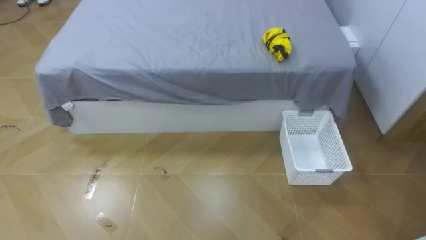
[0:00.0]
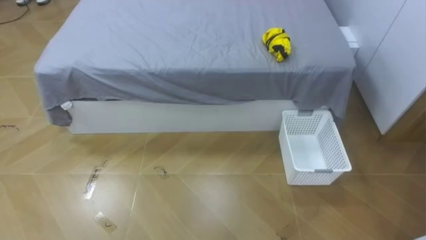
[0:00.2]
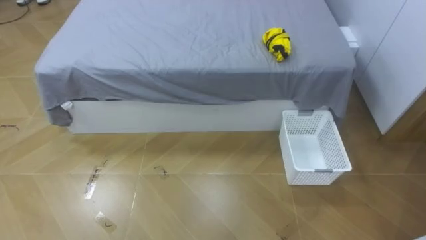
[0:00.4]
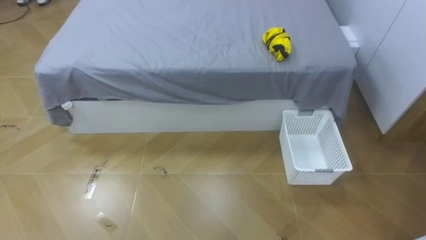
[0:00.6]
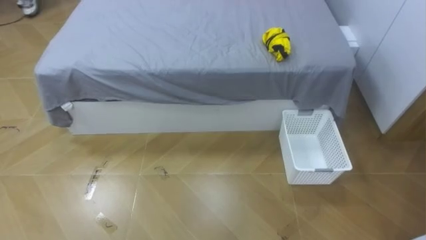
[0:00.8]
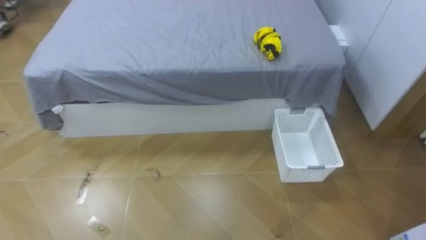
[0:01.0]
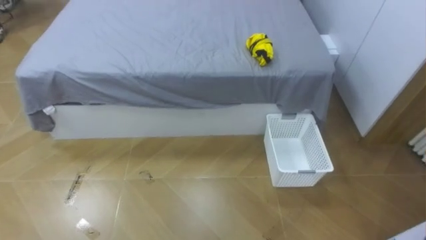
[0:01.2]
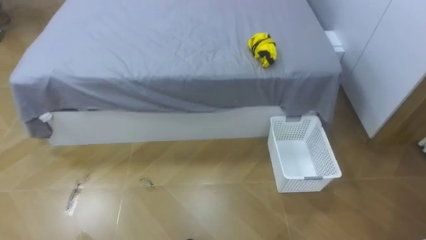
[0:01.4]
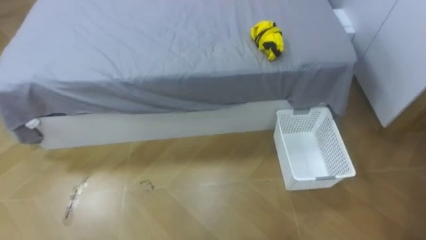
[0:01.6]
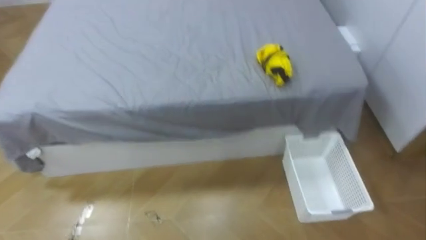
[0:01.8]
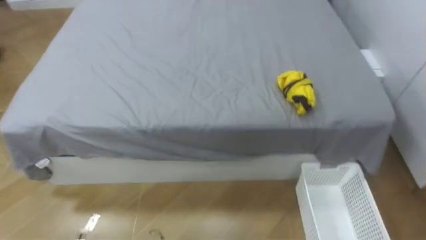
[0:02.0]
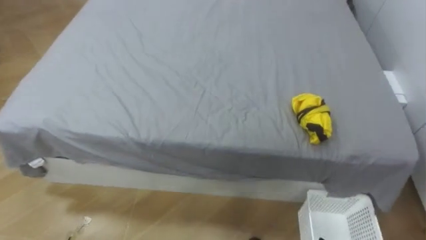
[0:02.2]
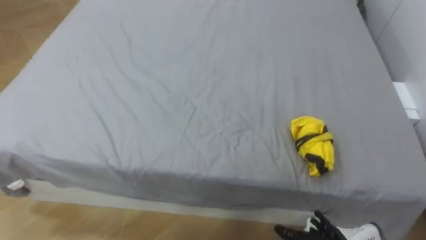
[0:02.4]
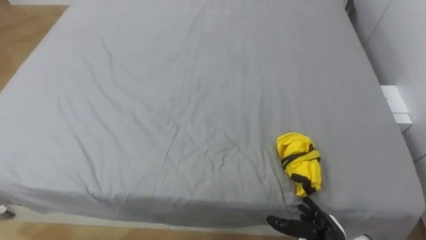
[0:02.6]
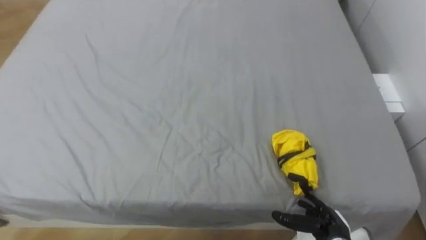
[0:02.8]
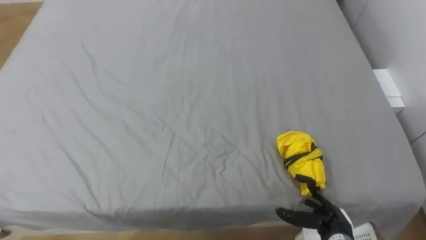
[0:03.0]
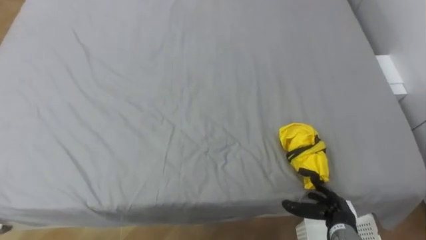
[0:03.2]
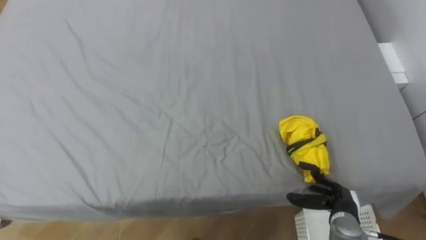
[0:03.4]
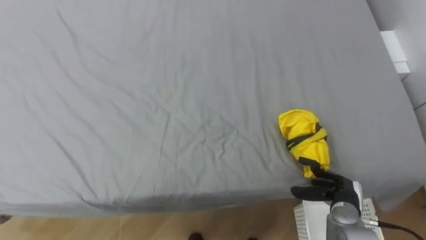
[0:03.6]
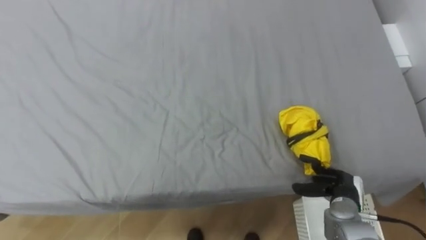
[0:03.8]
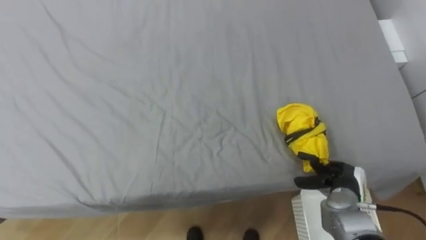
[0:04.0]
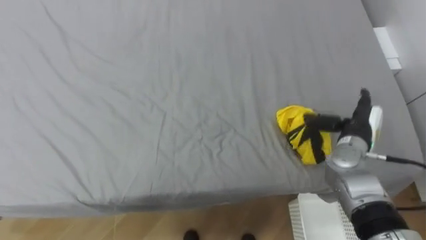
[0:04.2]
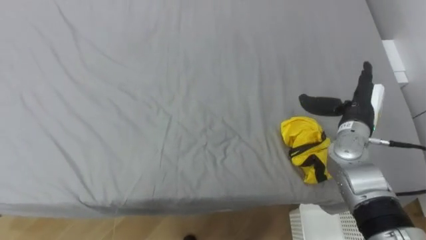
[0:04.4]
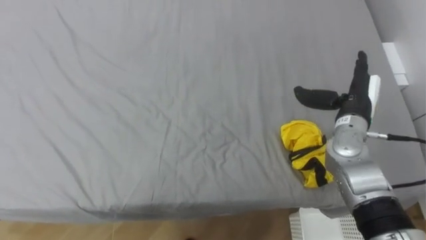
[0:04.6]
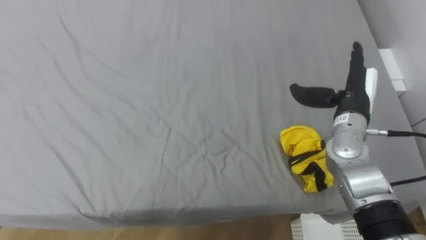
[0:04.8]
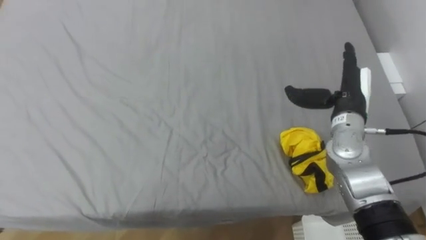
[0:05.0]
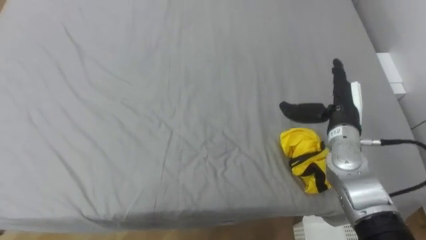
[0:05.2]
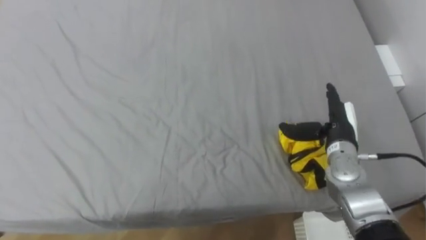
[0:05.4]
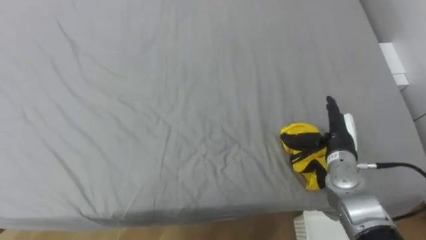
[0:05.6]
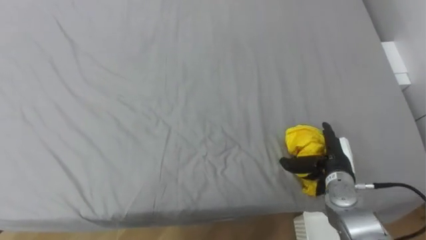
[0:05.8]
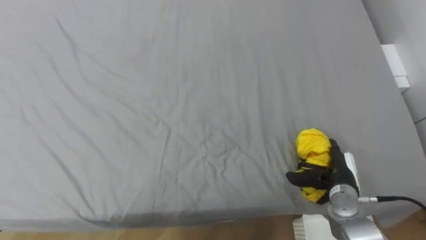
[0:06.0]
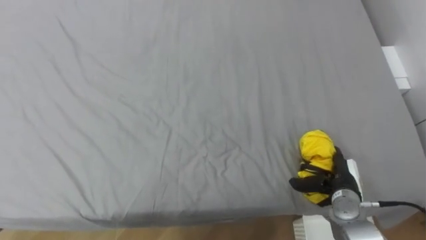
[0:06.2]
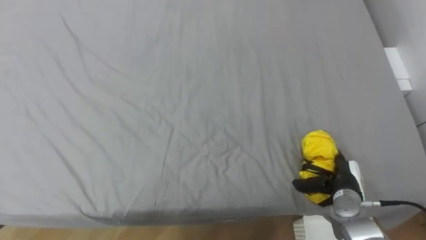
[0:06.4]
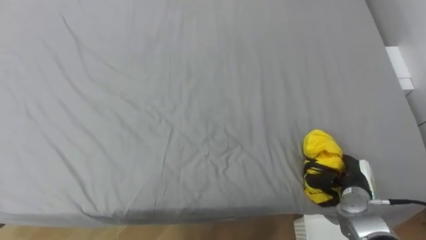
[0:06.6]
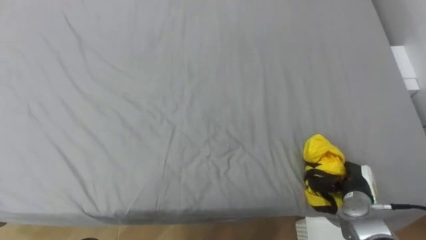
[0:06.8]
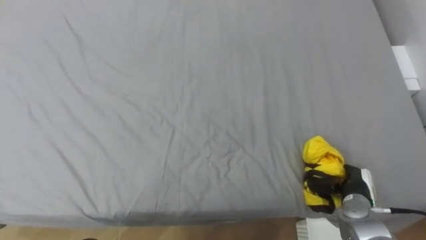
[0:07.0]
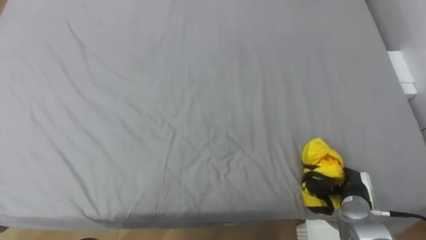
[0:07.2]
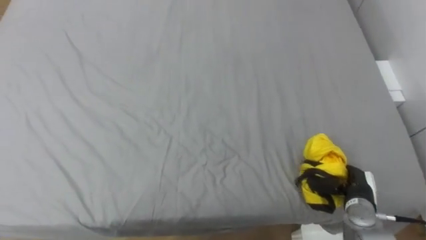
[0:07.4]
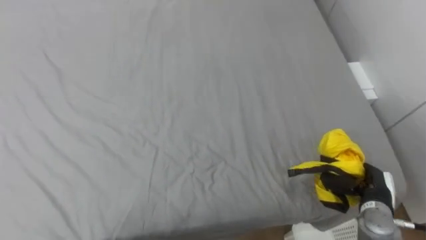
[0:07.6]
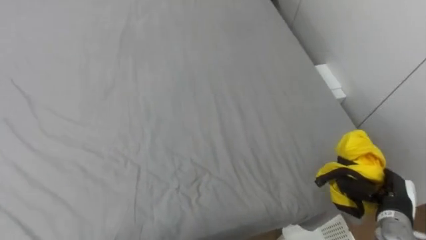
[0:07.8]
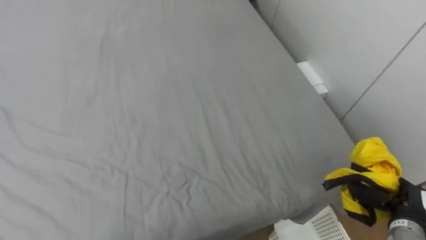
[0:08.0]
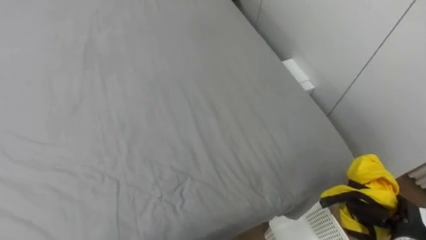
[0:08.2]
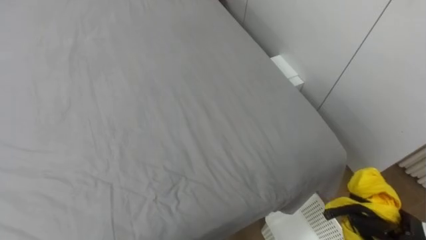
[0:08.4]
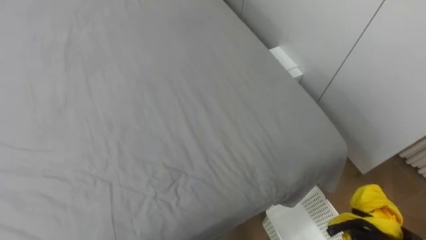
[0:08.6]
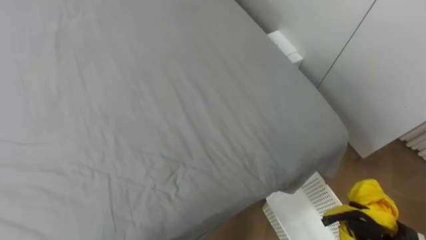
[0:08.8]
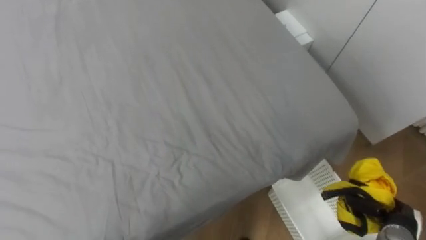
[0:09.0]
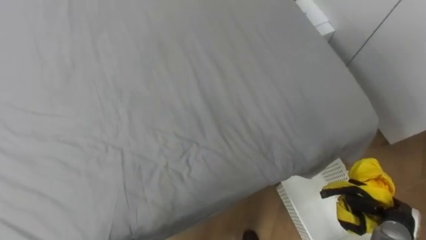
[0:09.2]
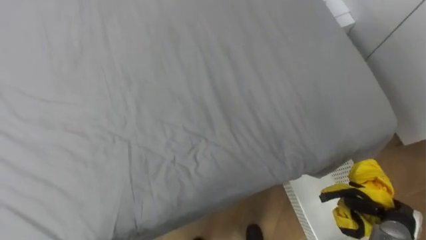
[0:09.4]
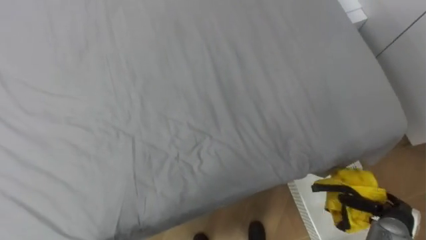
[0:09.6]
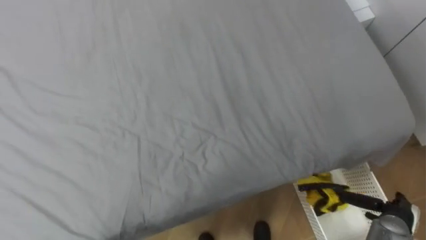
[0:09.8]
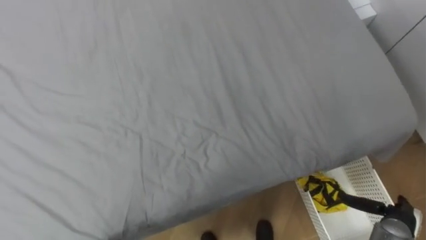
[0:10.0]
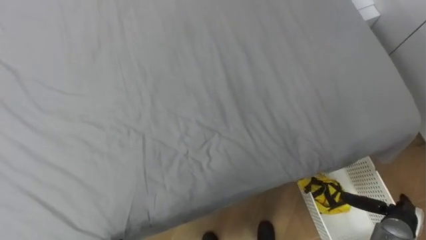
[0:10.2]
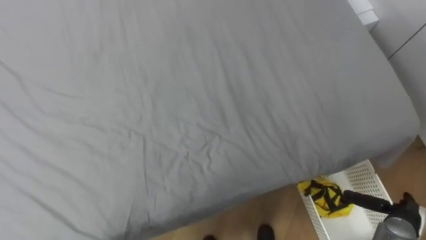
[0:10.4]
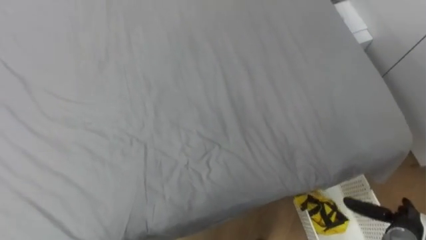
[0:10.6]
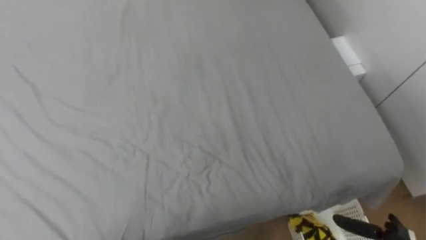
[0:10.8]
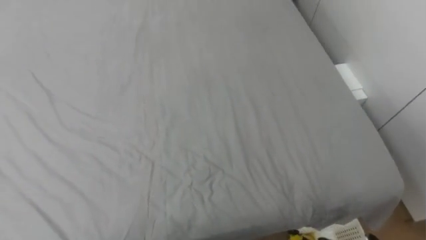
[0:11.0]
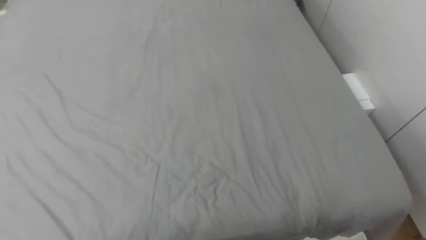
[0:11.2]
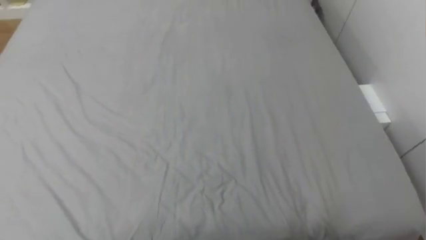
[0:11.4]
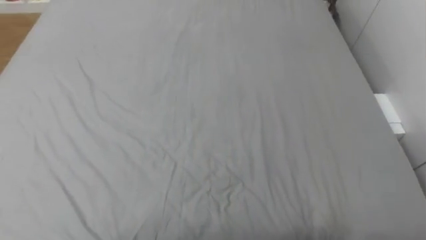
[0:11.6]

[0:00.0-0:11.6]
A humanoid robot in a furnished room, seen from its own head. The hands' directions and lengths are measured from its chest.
Task of the whole recording: Pick up the yellow clothes on the bed and place them into the white basket on the right.
0:02.8 to 0:04.4: The right hand shifts roughly 25 cm upward and forward.
0:04.4 to 0:05.8: The right hand goes about 10 cm downward and backward.
0:05.8 to 0:07.2: The right hand shifts some 5 cm downward, and closes its fingers.

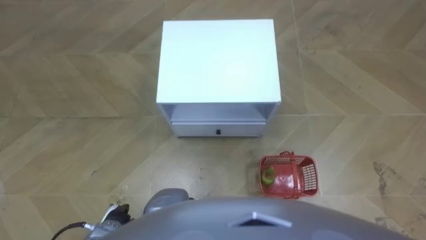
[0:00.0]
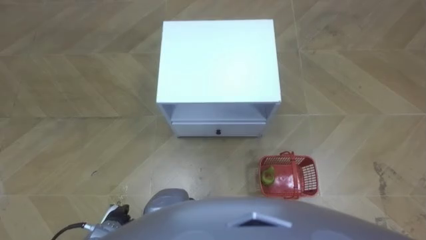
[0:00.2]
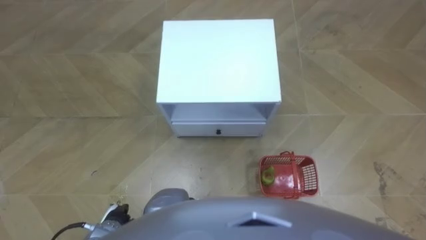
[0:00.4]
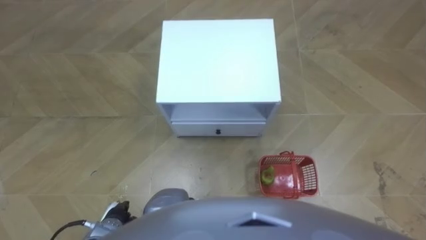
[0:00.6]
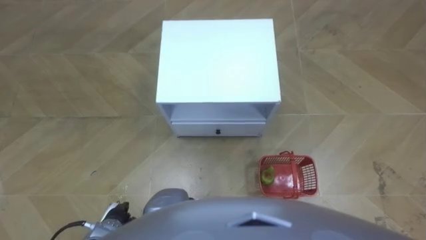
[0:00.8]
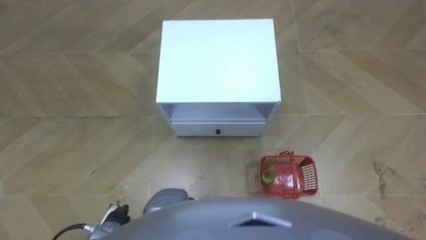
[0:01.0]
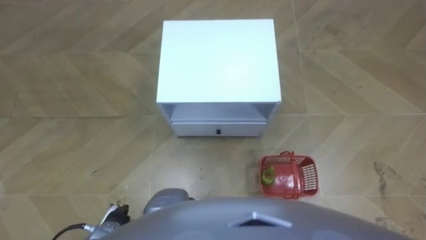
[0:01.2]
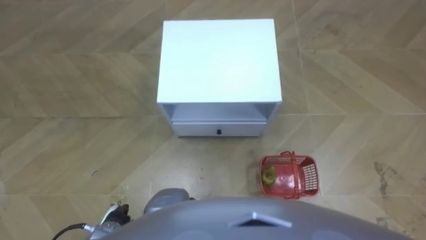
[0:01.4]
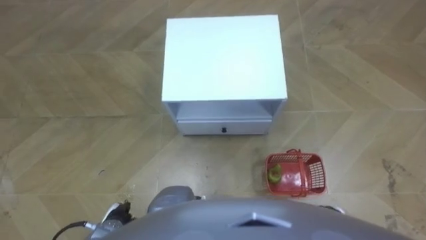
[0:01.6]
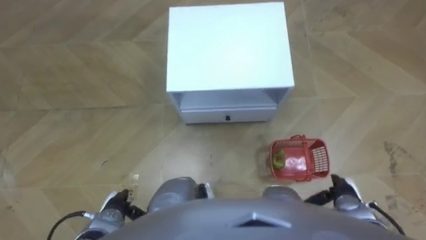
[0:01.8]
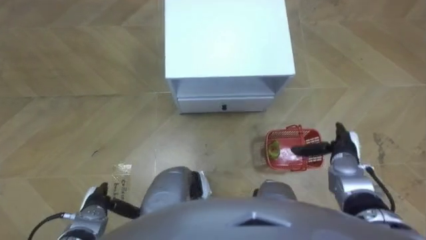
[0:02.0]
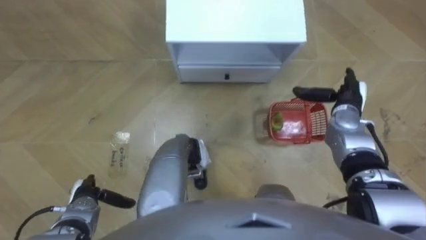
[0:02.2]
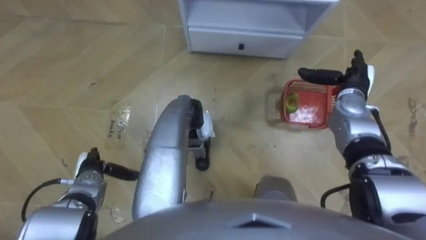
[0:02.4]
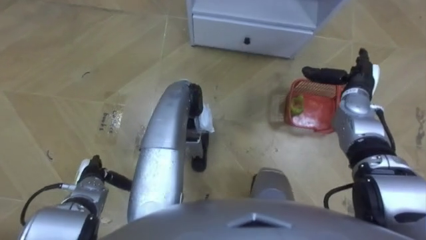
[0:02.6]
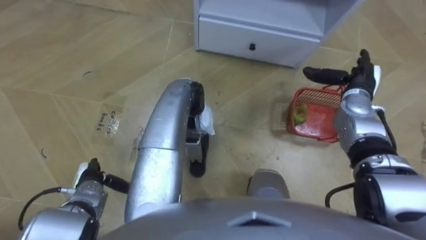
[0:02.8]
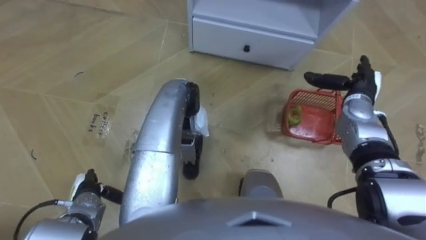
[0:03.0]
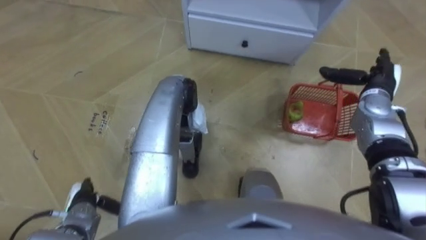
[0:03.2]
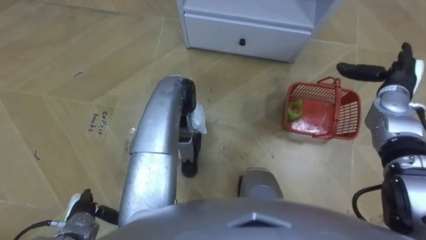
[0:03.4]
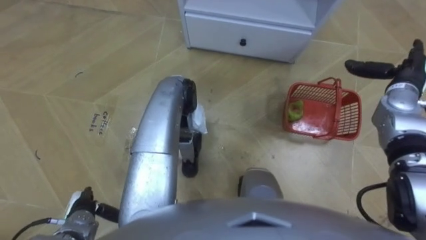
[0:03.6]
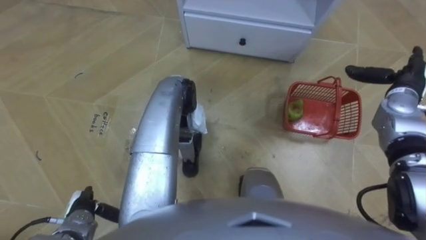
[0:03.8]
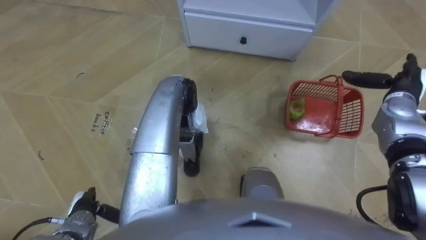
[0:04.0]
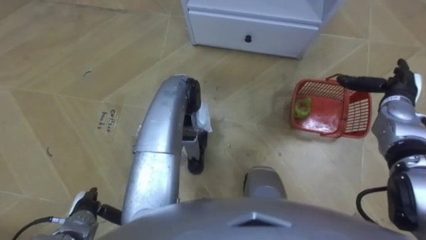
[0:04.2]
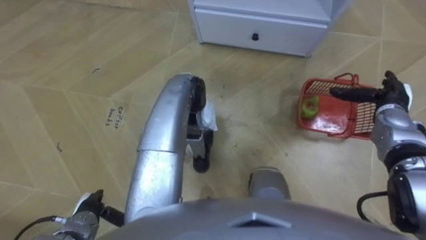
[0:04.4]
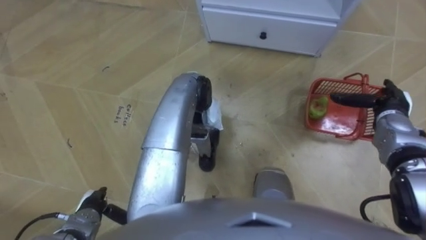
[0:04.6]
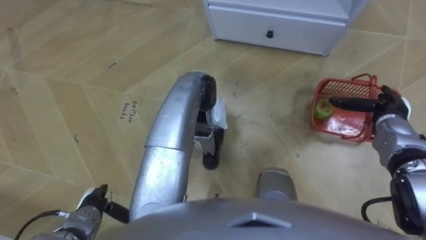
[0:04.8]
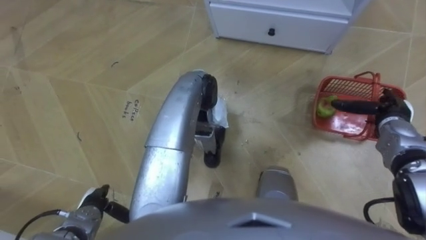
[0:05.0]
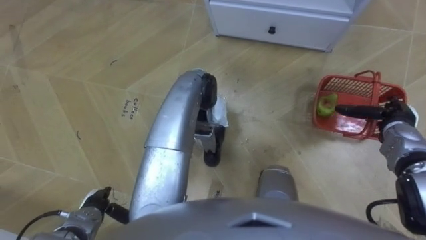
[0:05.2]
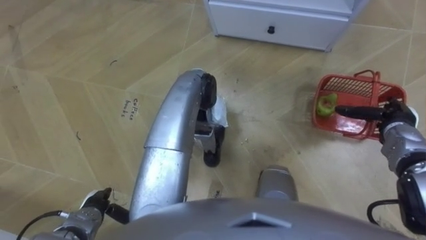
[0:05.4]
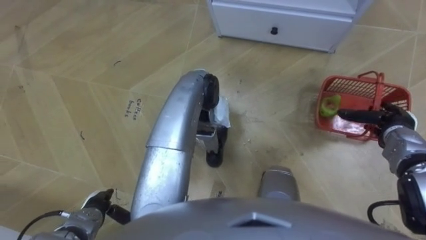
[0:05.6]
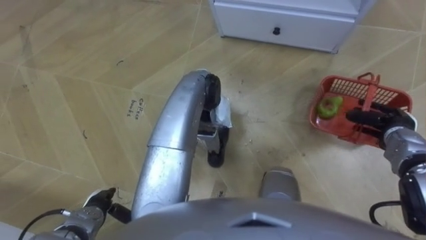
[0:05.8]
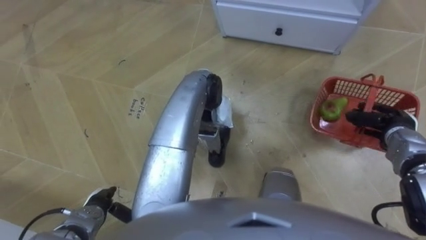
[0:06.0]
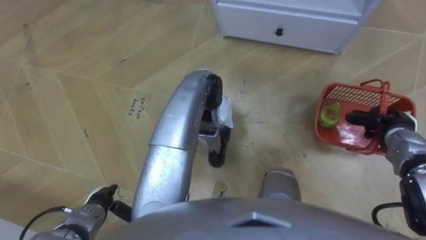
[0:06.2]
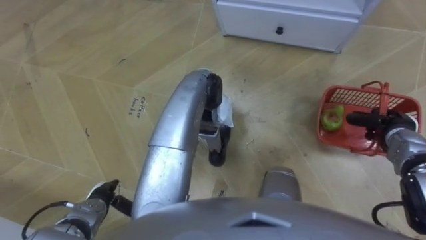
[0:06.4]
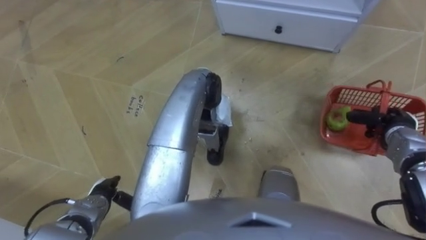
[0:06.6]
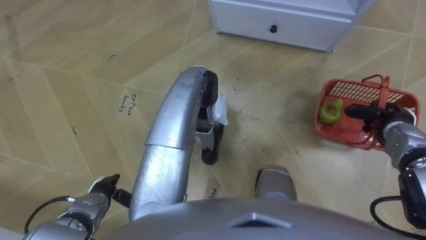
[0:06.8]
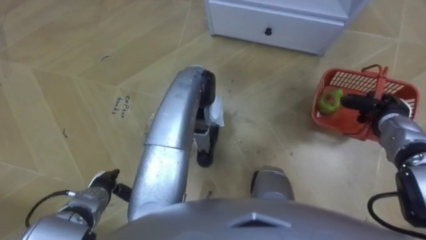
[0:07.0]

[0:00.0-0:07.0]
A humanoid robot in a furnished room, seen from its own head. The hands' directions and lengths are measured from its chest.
Task of the whole recording: Pick up the fruit basket from the floor and place it on the cabinet.
0:01.4 to 0:02.8: The left hand shifts approximately 10 cm forward and to the left, while the right hand is displaced forward and upward by about 35 cm.
0:02.8 to 0:04.2: The right hand heads to the right, covering about 5 cm; the left hand heads backward, covering some 5 cm.
0:04.2 to 0:05.6: The right hand heads backward, covering some 5 cm.
0:05.6 to 0:07.0: The left hand moves forward, about 5 cm. Meanwhile the right hand closes up.
